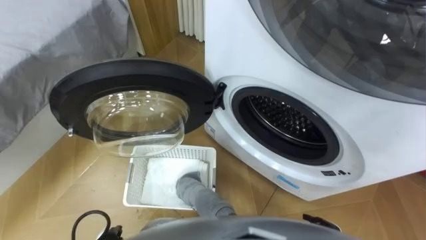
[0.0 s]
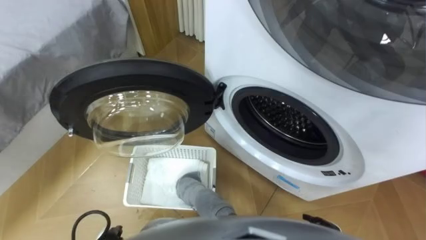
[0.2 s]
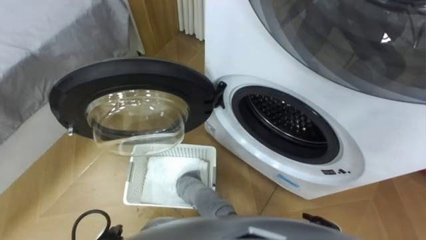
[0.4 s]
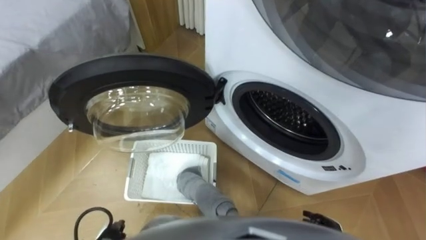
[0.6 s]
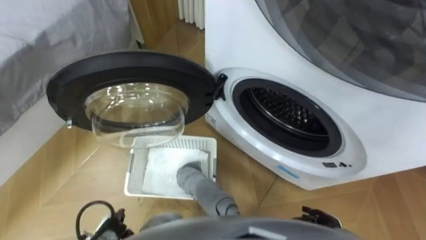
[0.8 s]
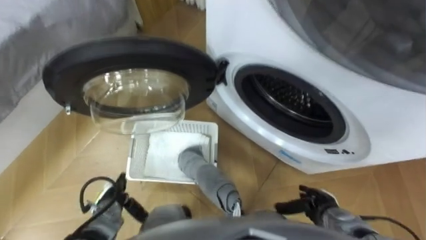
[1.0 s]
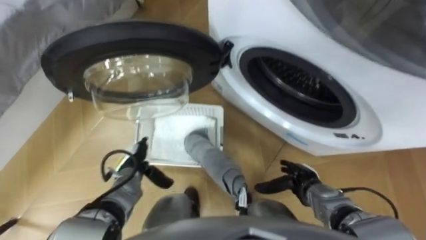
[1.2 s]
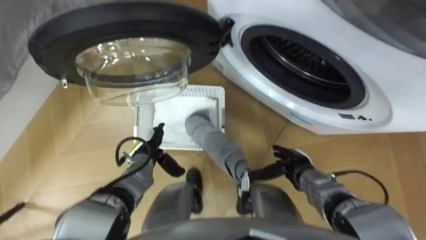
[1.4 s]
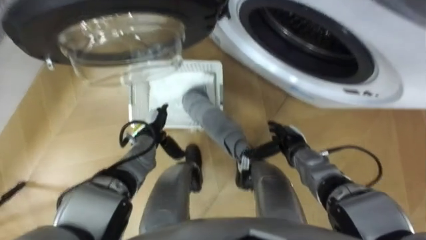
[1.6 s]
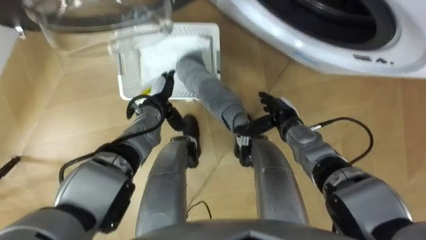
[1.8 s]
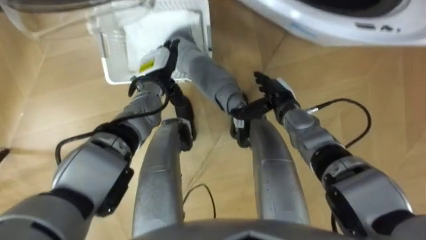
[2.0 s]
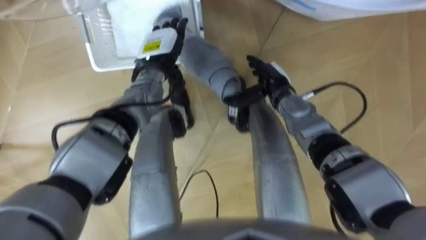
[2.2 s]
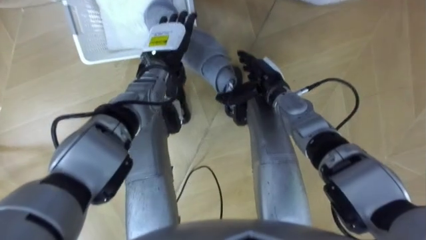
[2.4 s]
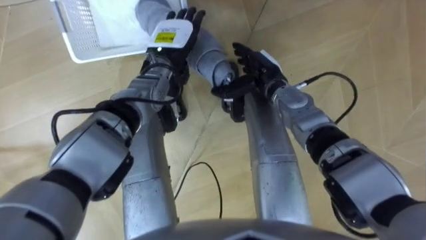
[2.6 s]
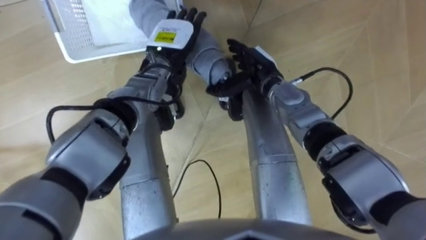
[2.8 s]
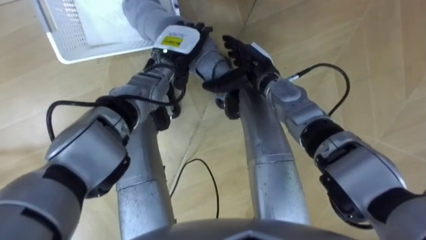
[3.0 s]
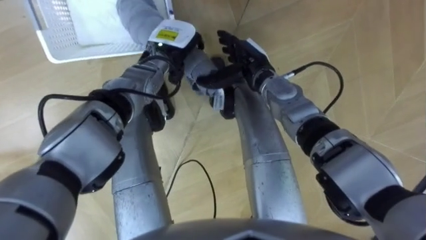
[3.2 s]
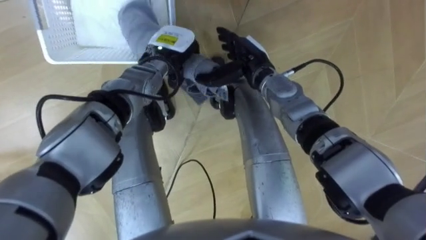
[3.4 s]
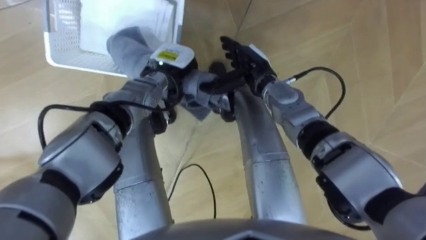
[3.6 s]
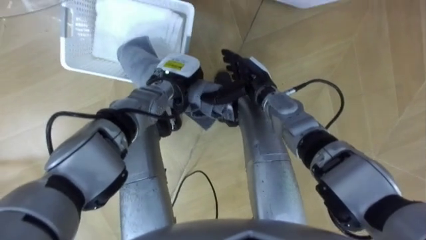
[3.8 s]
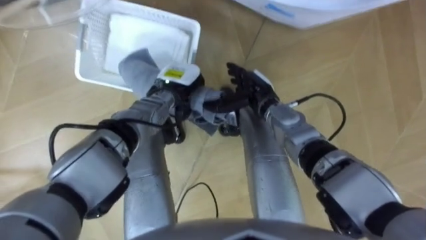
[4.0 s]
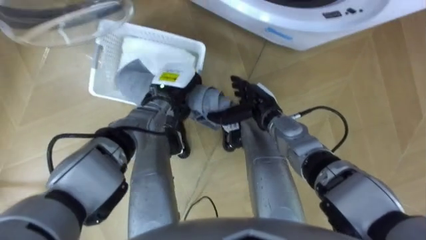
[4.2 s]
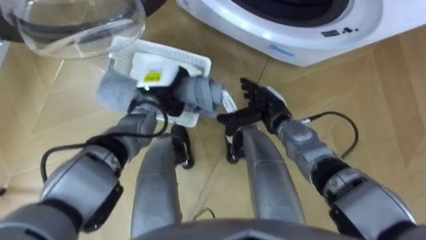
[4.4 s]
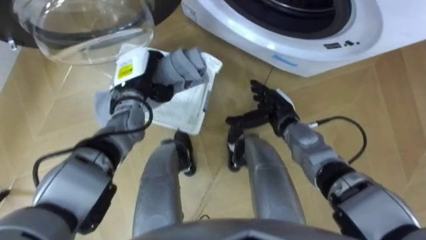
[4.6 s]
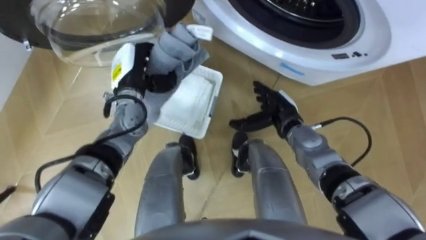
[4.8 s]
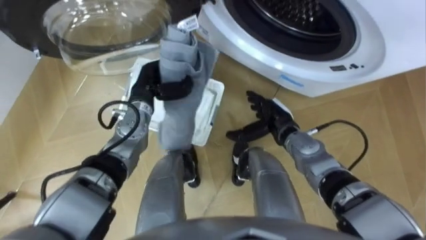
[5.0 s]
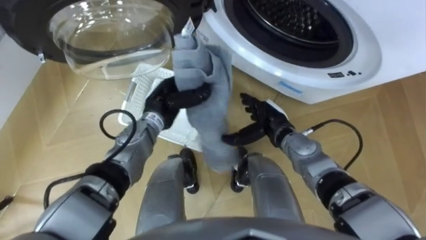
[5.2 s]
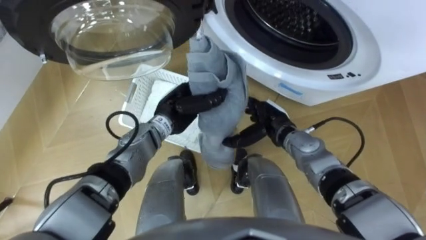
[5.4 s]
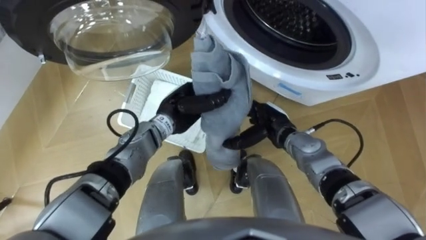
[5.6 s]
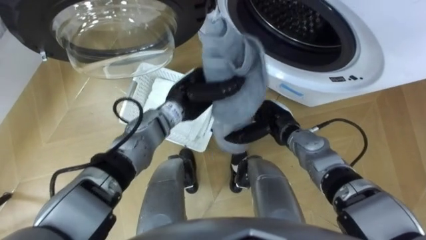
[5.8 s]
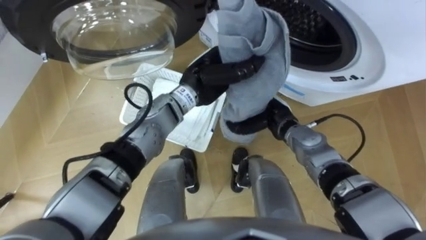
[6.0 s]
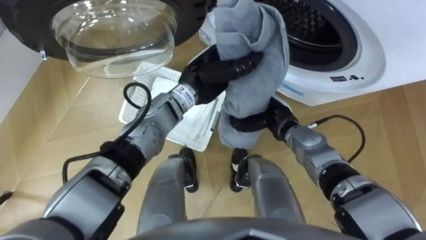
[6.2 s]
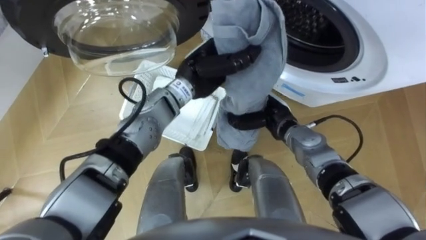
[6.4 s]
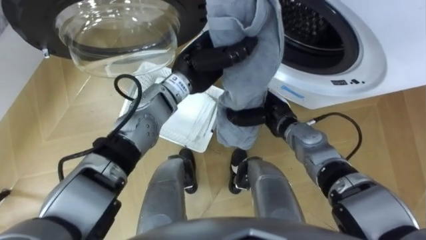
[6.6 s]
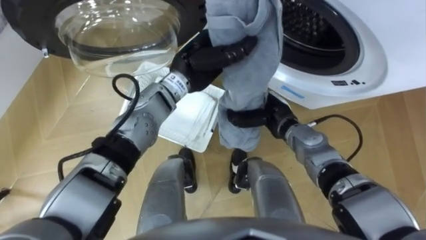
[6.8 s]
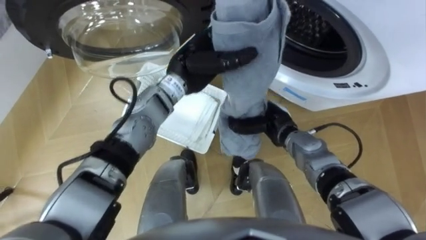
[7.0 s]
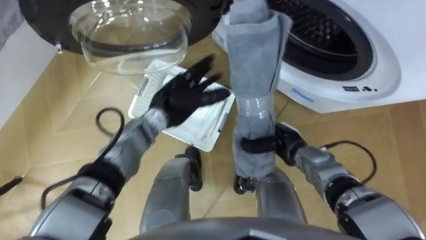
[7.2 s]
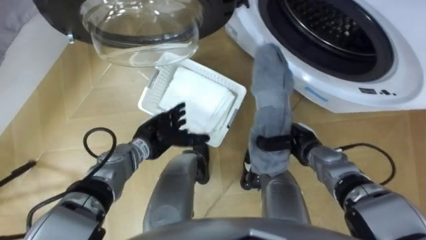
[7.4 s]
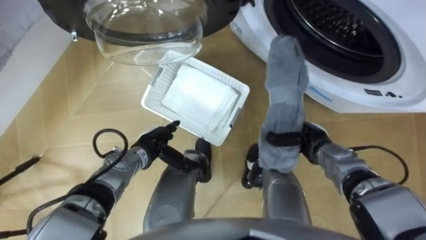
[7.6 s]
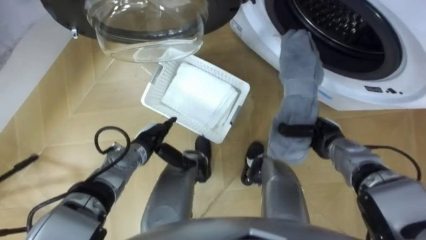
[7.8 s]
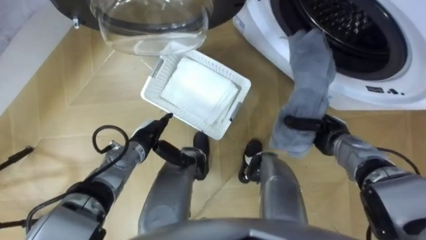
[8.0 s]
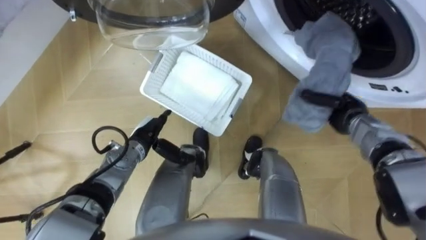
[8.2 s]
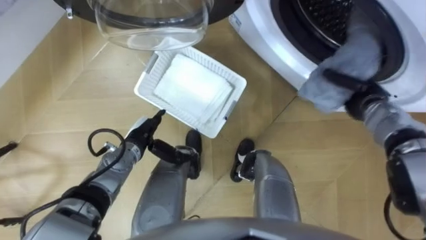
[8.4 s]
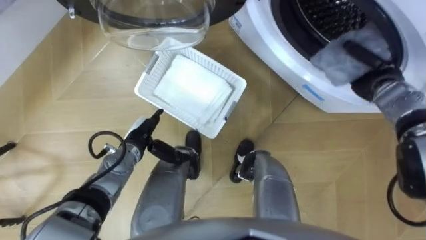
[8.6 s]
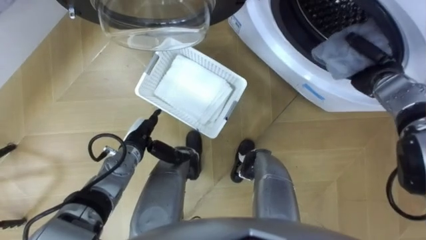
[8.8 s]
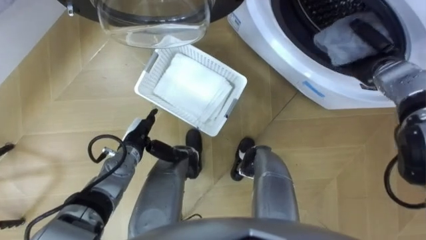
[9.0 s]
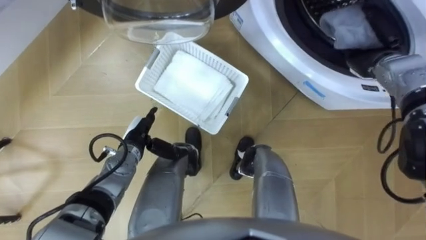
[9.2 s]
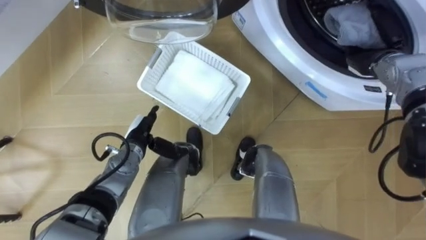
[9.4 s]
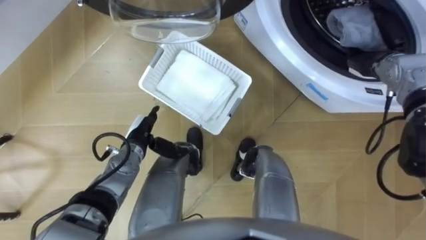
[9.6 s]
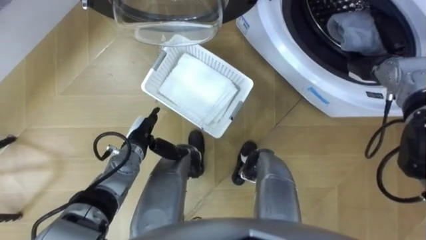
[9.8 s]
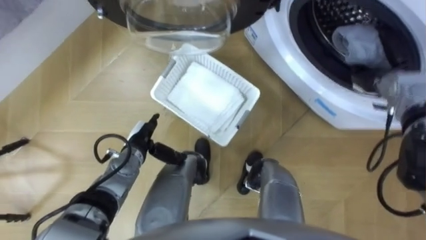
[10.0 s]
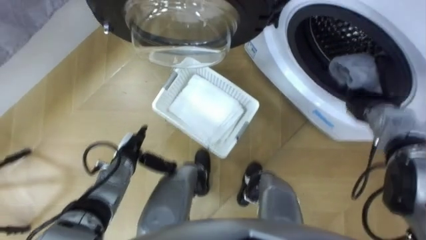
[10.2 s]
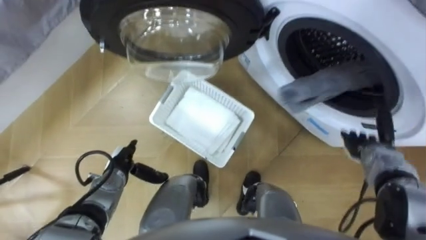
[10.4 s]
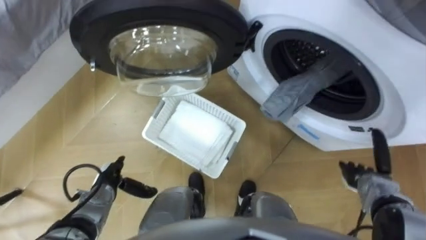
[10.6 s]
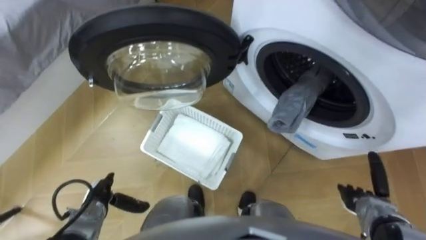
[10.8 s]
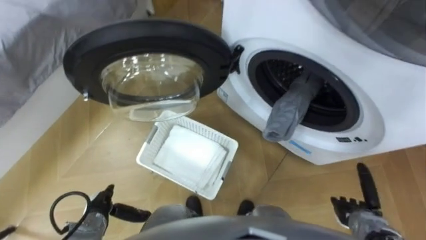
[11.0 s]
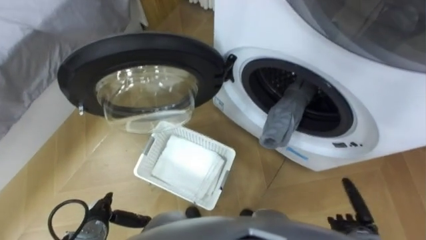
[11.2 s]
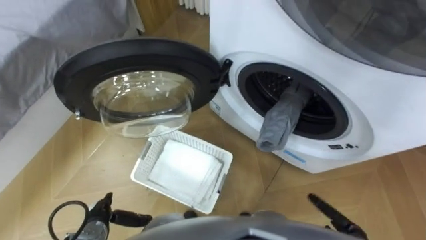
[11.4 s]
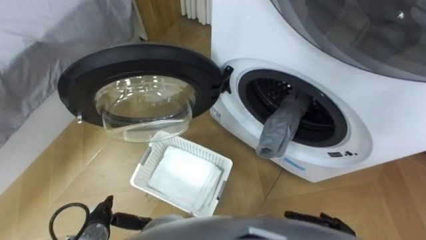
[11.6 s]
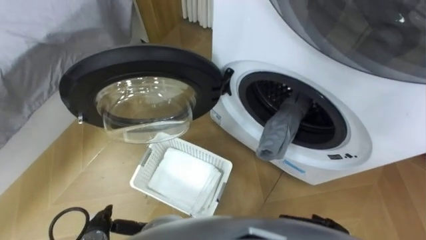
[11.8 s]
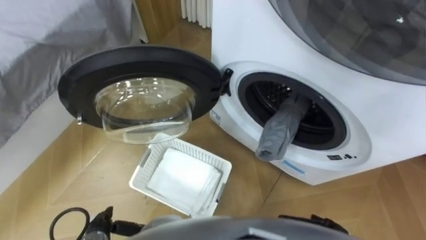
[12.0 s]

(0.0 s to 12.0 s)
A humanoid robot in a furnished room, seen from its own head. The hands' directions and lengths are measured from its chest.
Task of the whole recording: Take the towel from the basket and put it into the washing machine.
1.6 s - 3.0 s: The right hand is displaced upward, forward and to the left by some 20 cm; the left hand heads upward, forward and to the right, covering some 20 cm.
3.0 s - 4.4 s: The right hand shifts approximately 10 cm downward and backward. The left hand ends up about 10 cm from where it was, and closes.
4.4 s - 6.0 s: The left hand moves to the right and upward, roughly 15 cm.
6.0 s - 7.6 s: The left hand heads downward, to the left and backward, covering approximately 25 cm, and opens up; the right hand heads to the right, covering roughly 10 cm, and closes.
7.6 s - 9.0 s: The right hand is displaced upward, forward and to the right by roughly 20 cm.
9.0 s - 10.4 s: The left hand goes roughly 5 cm backward. The right hand travels backward and downward by some 20 cm, and opens up.
10.4 s - 12.0 s: The right hand is displaced backward, to the left and downward by roughly 25 cm. The left hand goes approximately 15 cm backward.

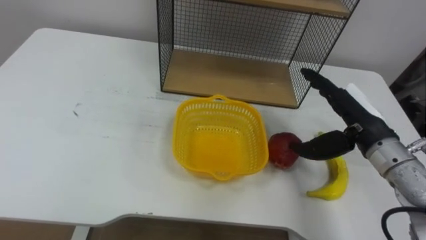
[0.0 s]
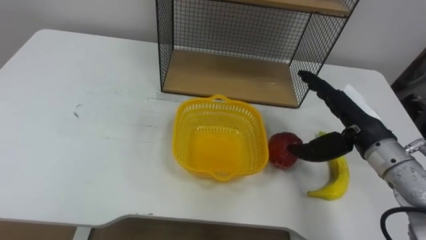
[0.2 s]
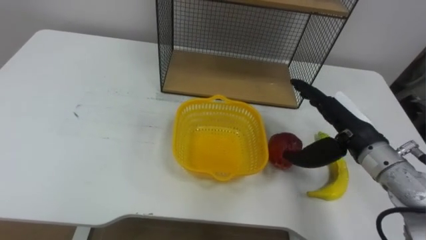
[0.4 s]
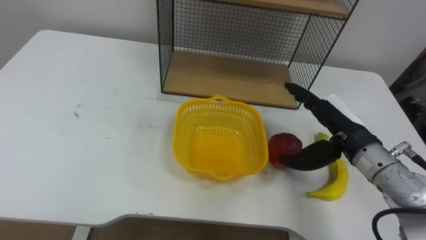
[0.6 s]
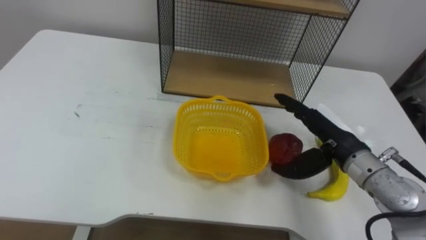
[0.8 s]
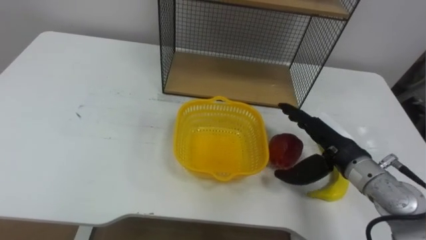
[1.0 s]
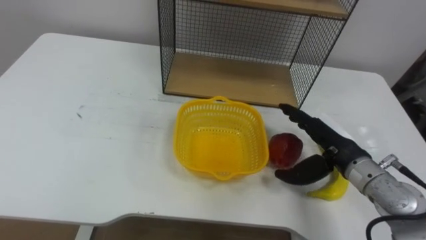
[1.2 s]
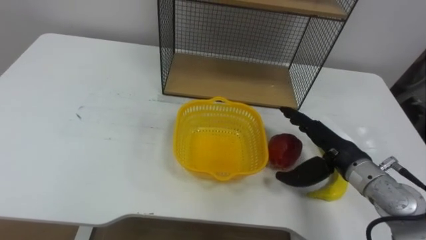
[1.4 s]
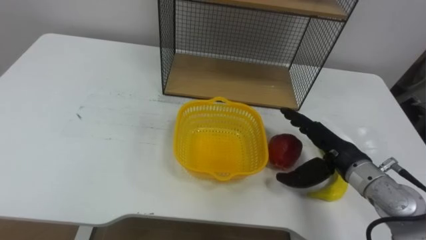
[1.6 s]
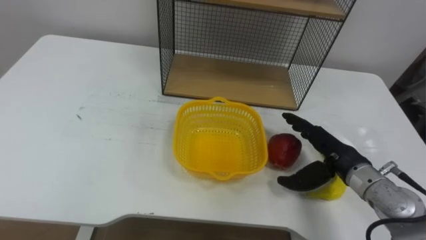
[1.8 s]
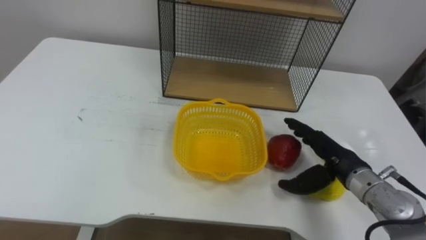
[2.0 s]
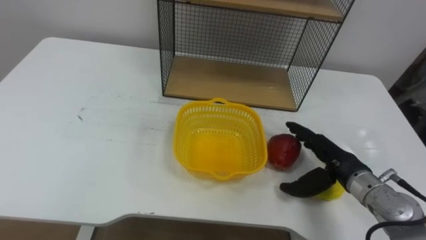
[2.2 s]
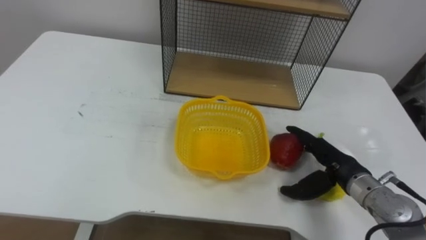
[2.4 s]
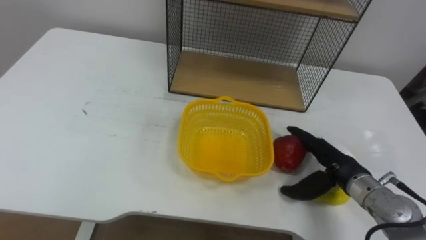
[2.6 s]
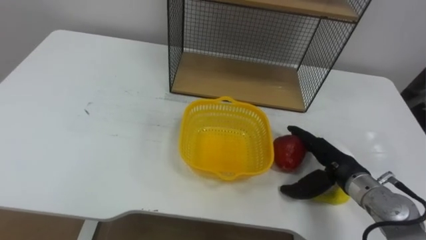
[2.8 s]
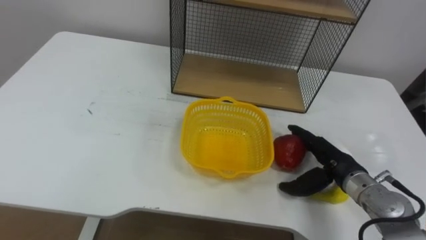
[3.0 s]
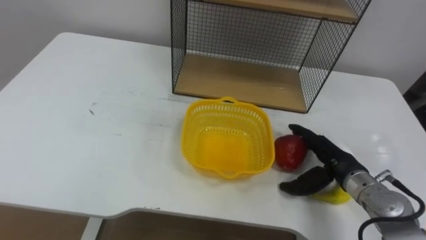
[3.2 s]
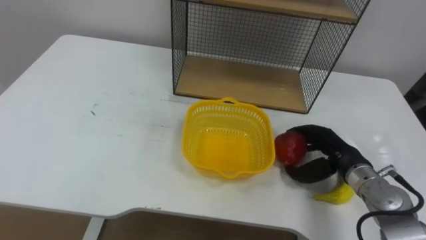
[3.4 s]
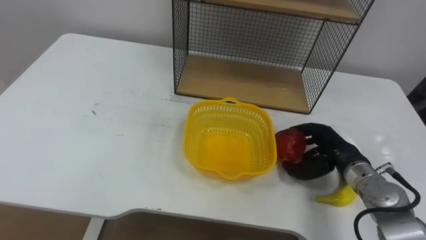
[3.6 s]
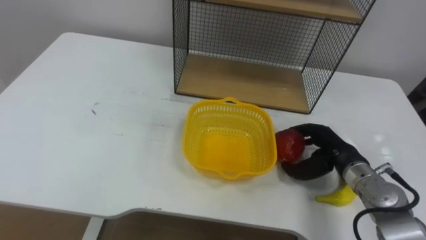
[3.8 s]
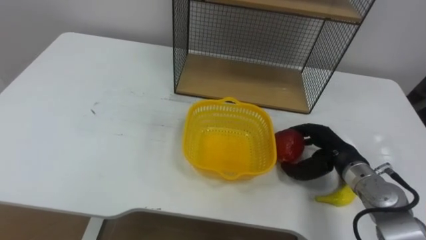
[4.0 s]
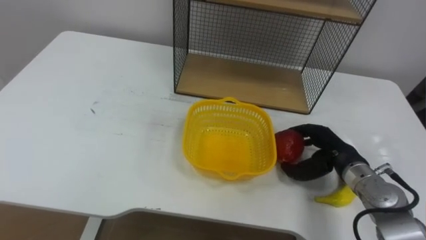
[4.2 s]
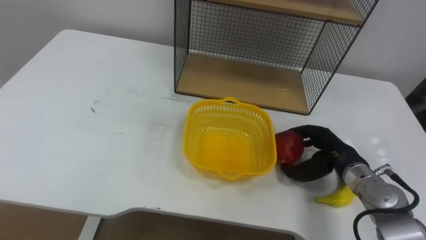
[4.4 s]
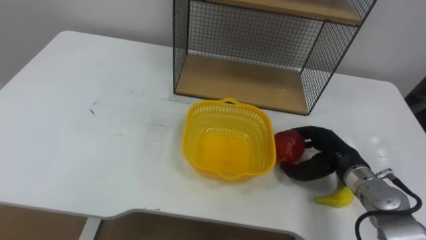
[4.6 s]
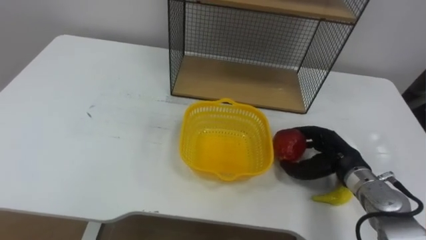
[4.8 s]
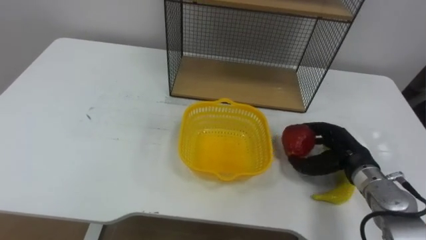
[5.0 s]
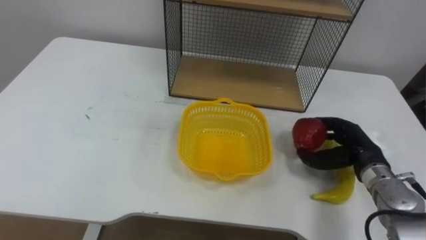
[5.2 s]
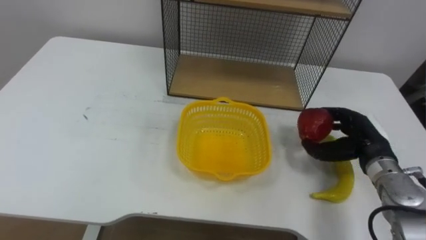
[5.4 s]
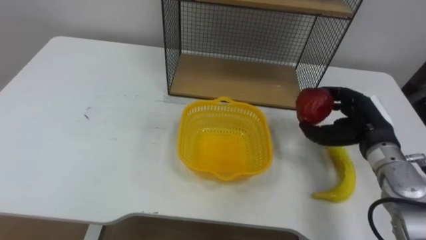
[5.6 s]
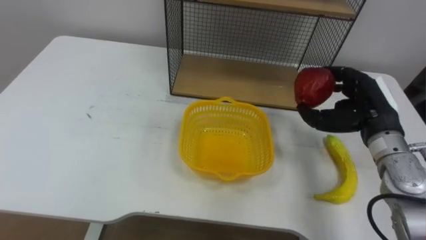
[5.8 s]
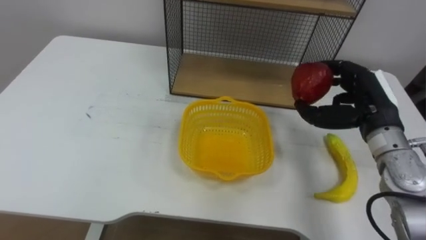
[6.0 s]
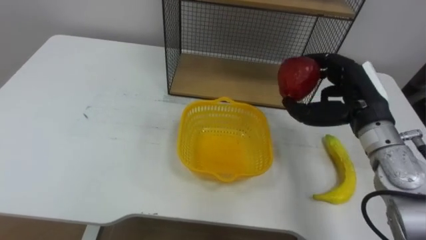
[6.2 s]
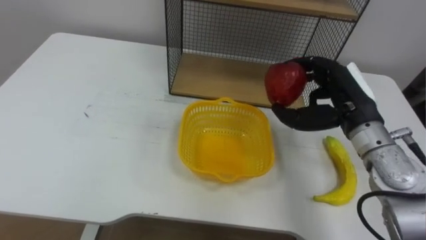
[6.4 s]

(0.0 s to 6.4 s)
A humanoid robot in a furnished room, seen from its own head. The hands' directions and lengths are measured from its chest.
Task of the whole recording: Put the fruit on the table into the basket, then place the basket on the shelf.
0.0 s - 1.6 s: The right hand moves downward, roughly 5 cm.
3.2 s - 4.8 s: The right hand closes.
4.8 s - 6.4 s: The right hand moves upward, roughly 15 cm.
